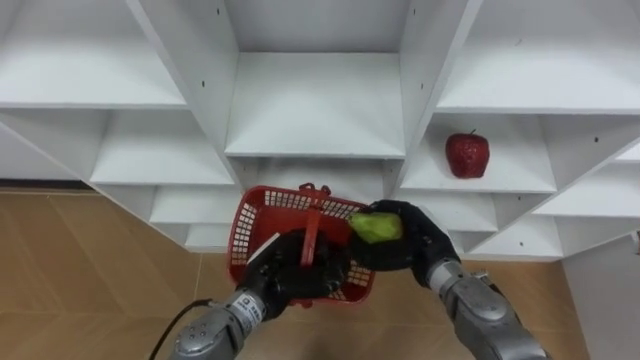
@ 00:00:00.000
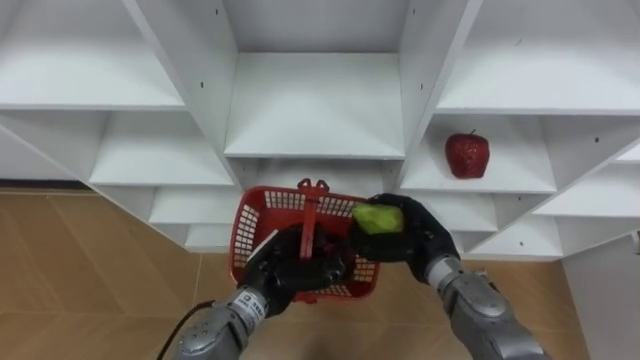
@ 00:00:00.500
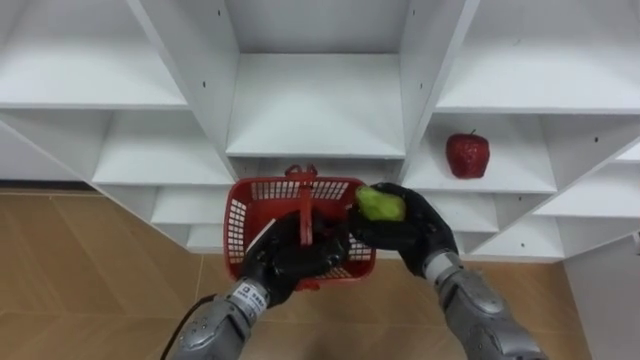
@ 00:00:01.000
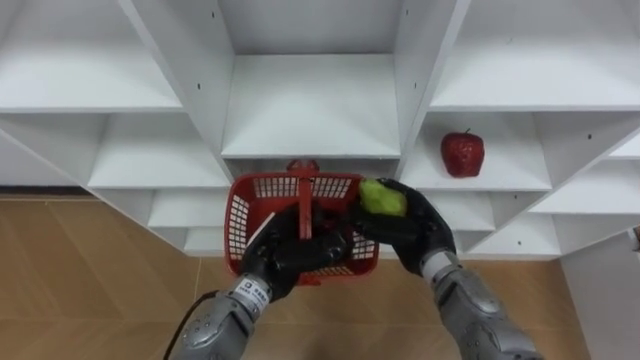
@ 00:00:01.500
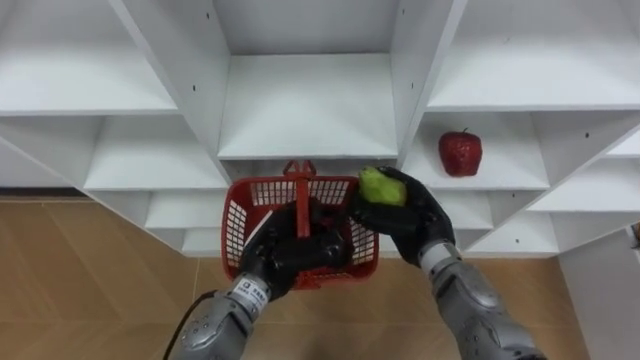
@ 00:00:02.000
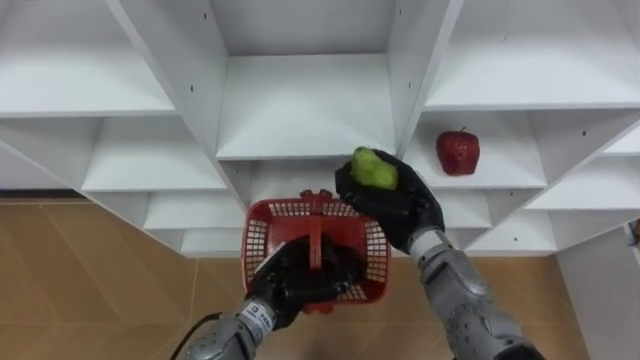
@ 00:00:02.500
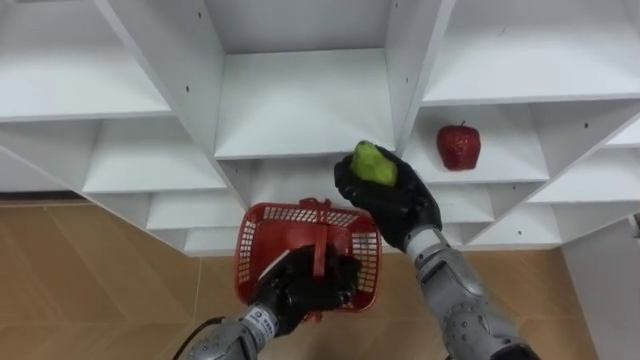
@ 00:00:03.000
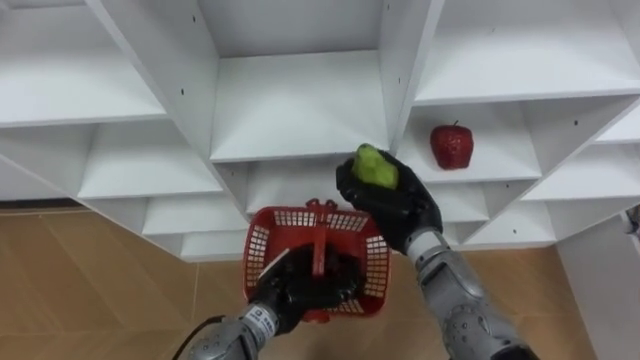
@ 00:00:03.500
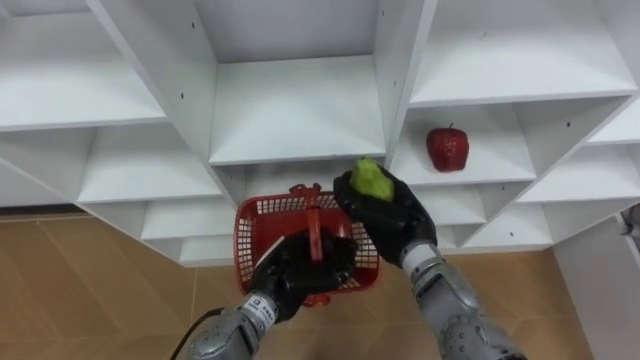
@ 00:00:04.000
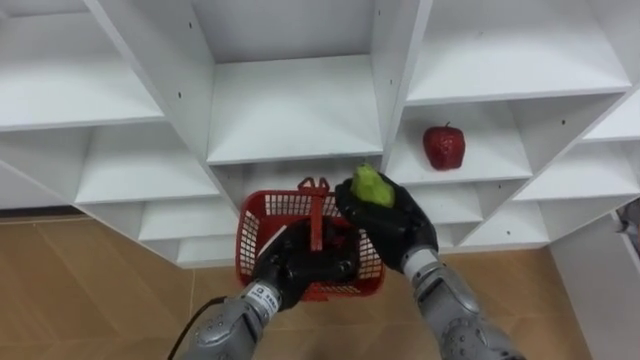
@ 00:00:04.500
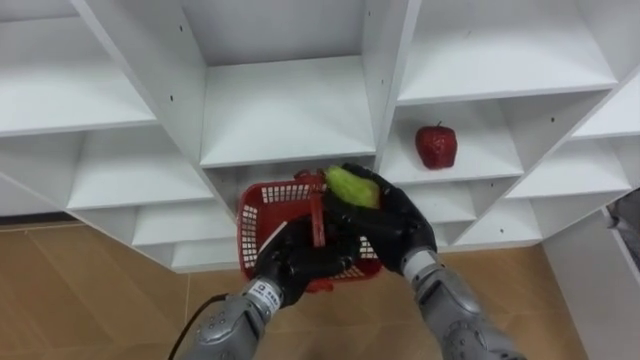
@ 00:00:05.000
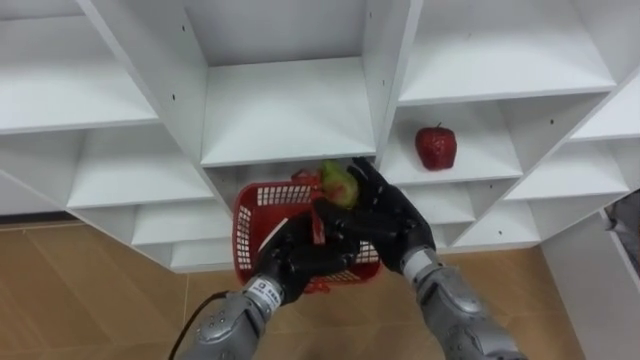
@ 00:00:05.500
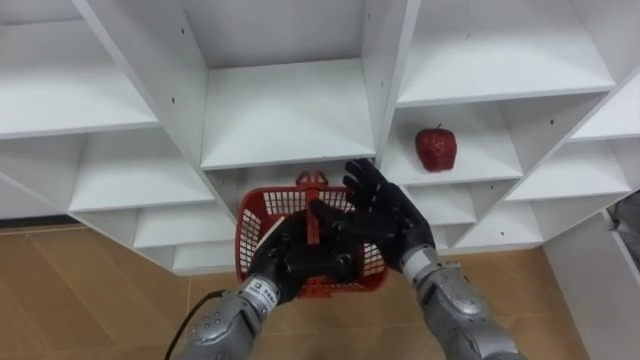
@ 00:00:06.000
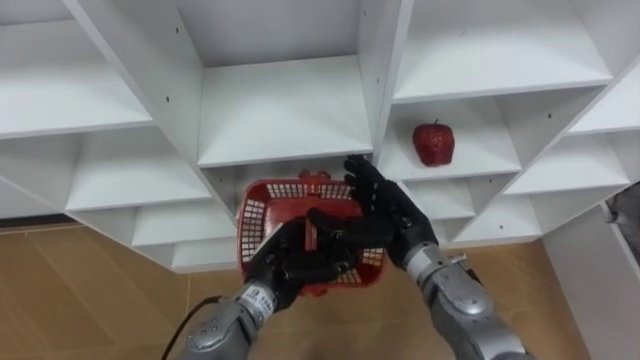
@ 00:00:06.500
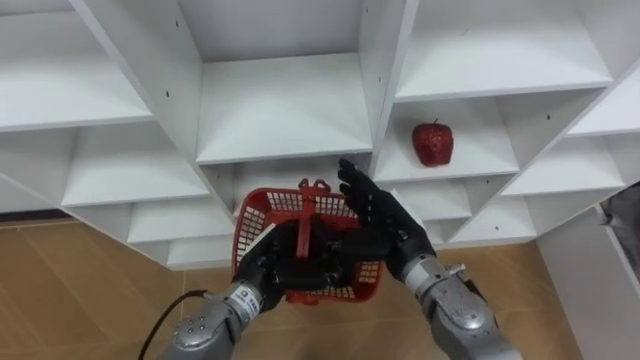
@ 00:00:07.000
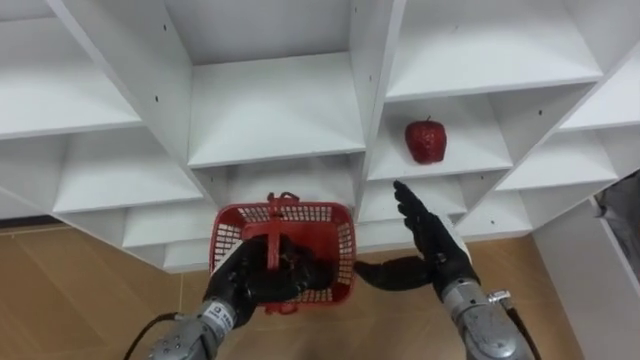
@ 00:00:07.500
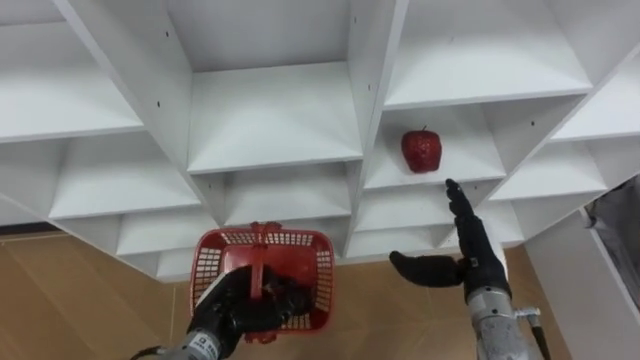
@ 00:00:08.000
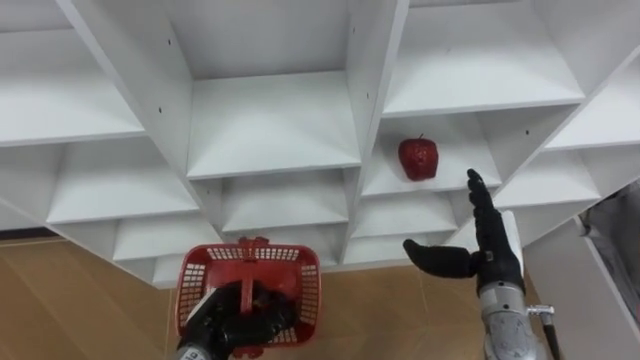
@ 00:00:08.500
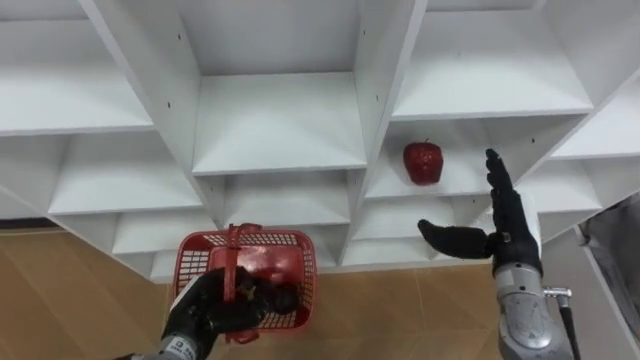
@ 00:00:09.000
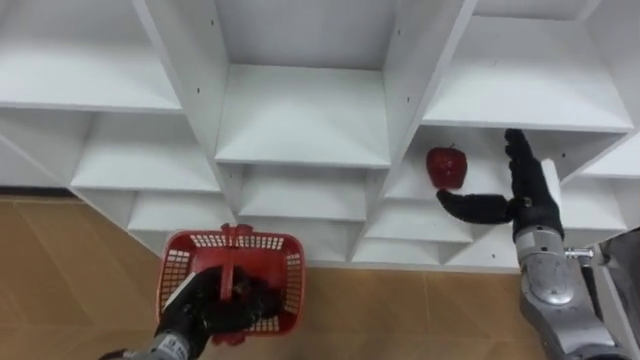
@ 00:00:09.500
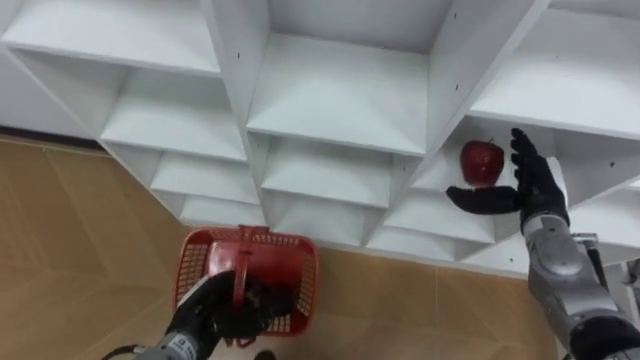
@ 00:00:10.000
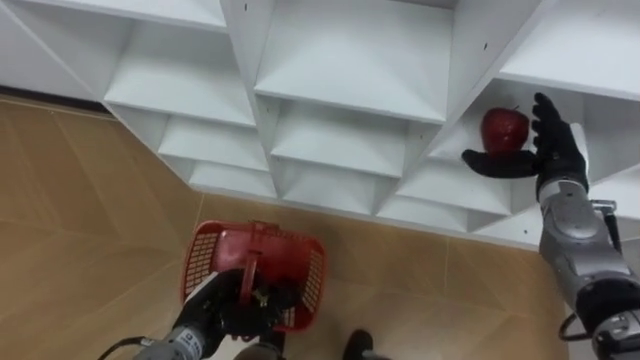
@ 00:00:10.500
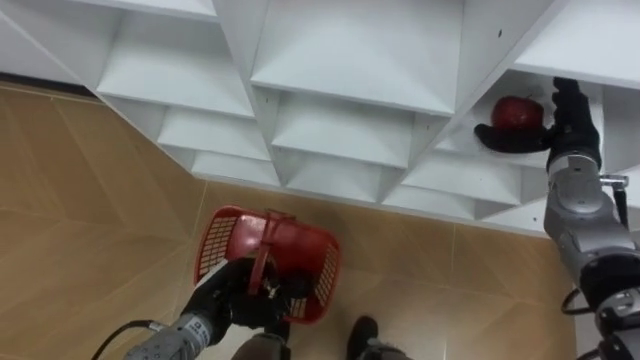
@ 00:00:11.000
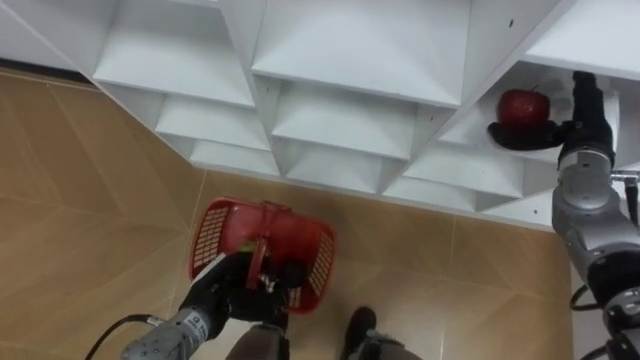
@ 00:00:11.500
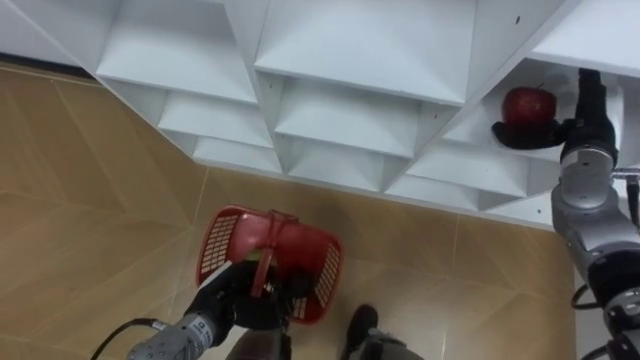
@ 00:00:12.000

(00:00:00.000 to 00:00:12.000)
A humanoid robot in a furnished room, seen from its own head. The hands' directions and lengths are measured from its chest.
Task of the whole recording: Hold the basket and collect the fruits from 3 different cells of the closet into it.
00:00:04.000 - 00:00:06.000: The right hand opens up.
00:00:06.000 - 00:00:08.000: The right hand shifts roughly 10 cm to the right. The left hand moves to the left, downward and backward, approximately 10 cm.
00:00:08.000 - 00:00:10.000: The right hand shifts roughly 10 cm to the right and forward.
00:00:10.000 - 00:00:12.000: The right hand goes roughly 10 cm upward.

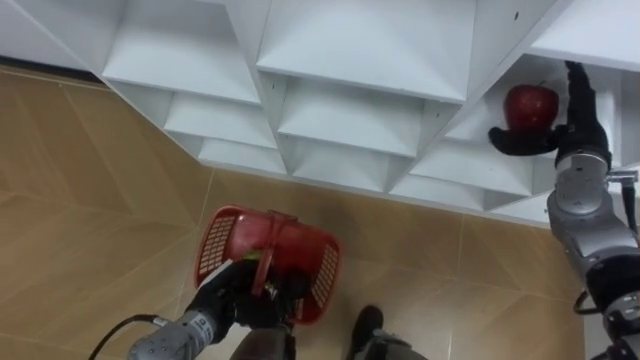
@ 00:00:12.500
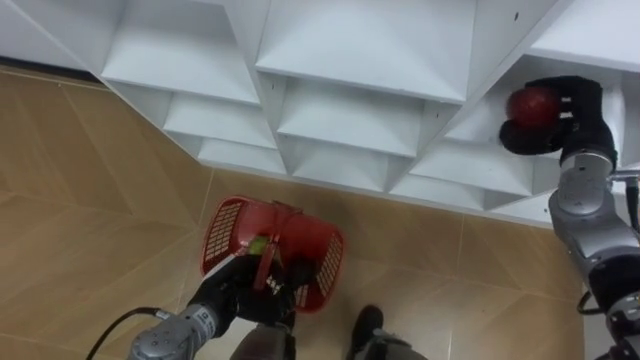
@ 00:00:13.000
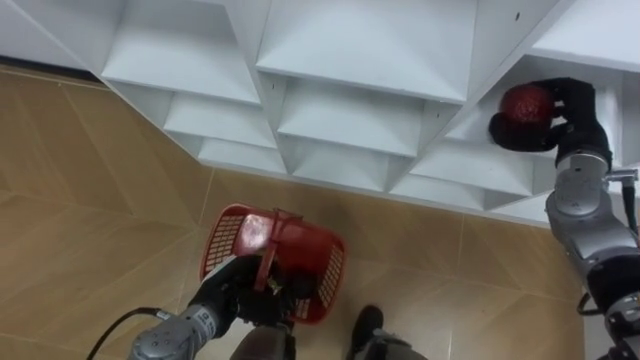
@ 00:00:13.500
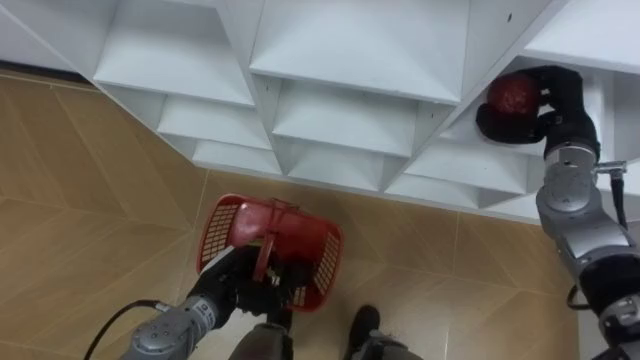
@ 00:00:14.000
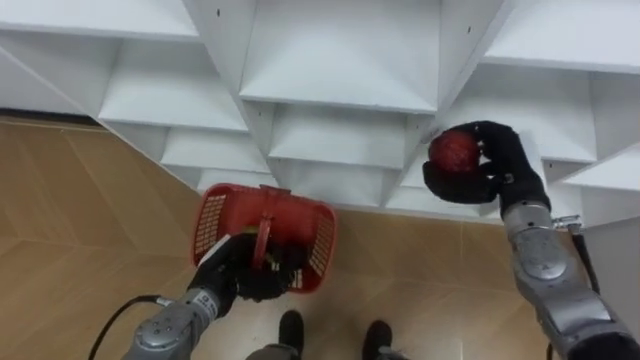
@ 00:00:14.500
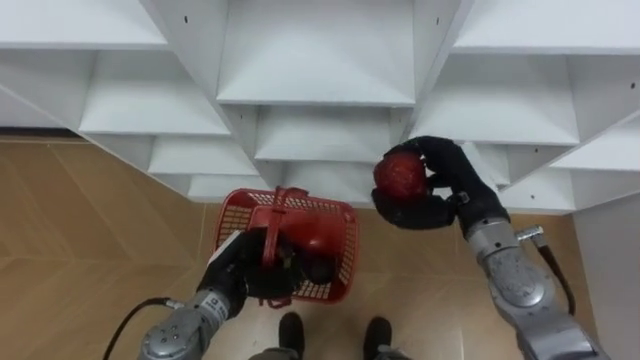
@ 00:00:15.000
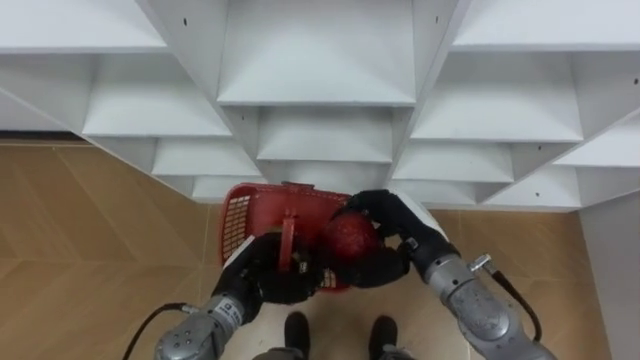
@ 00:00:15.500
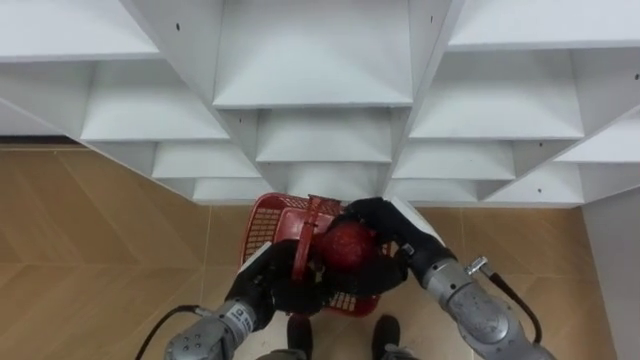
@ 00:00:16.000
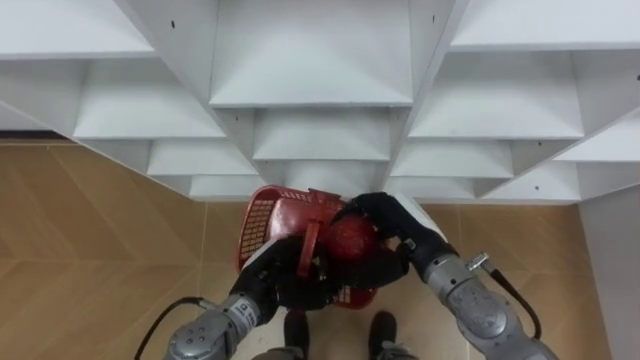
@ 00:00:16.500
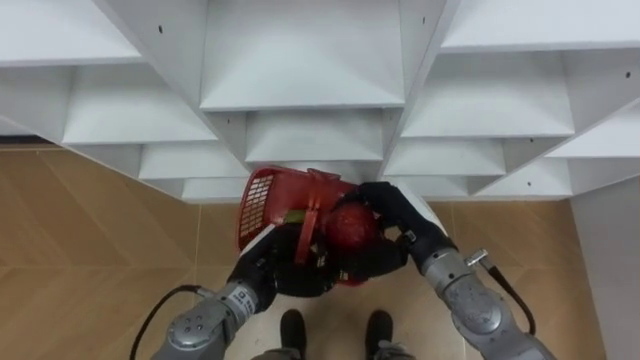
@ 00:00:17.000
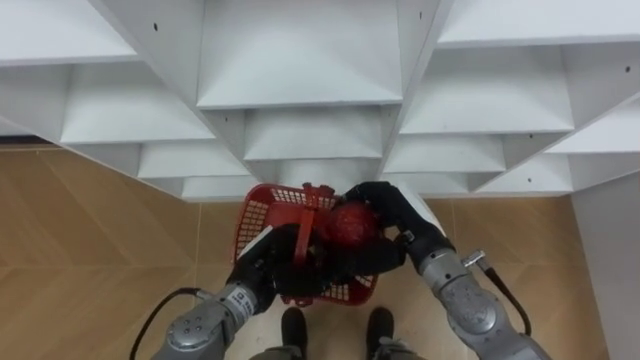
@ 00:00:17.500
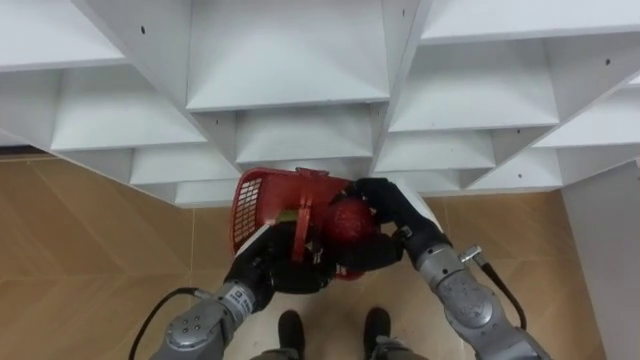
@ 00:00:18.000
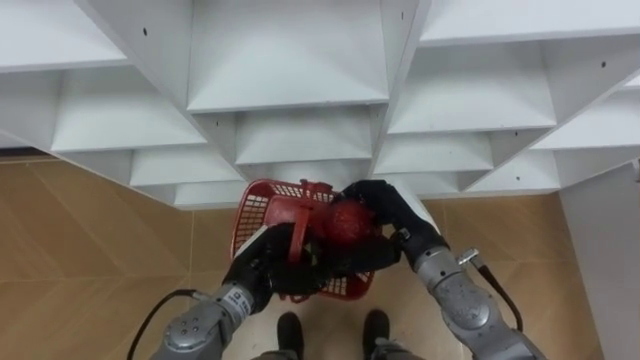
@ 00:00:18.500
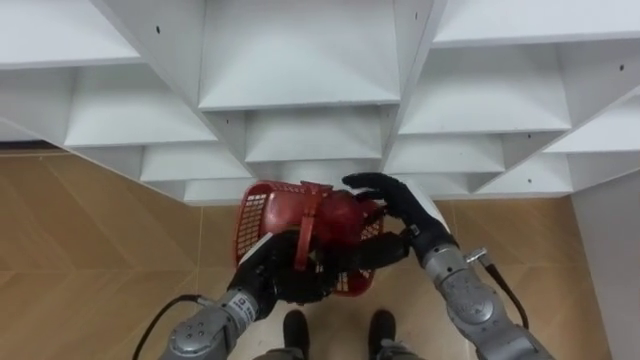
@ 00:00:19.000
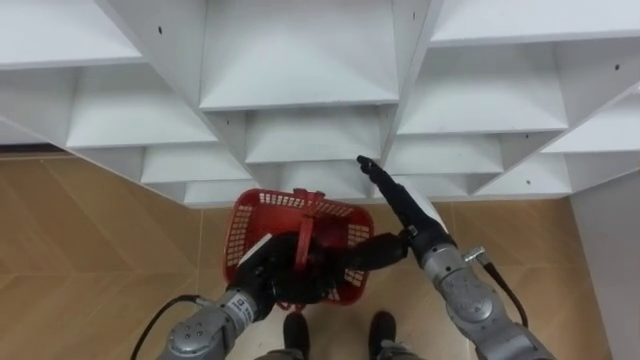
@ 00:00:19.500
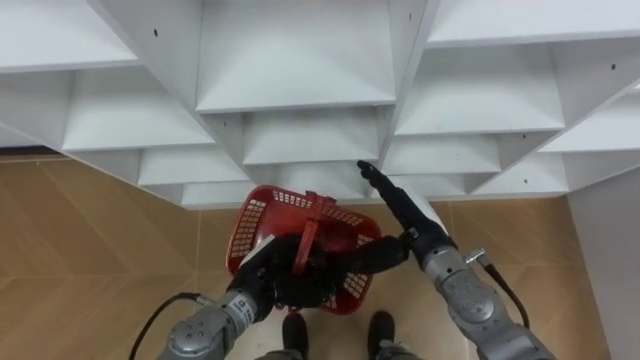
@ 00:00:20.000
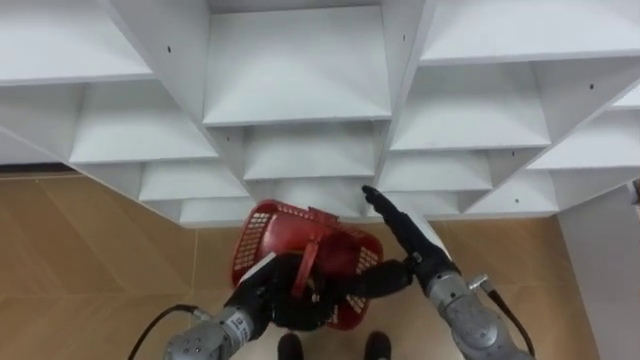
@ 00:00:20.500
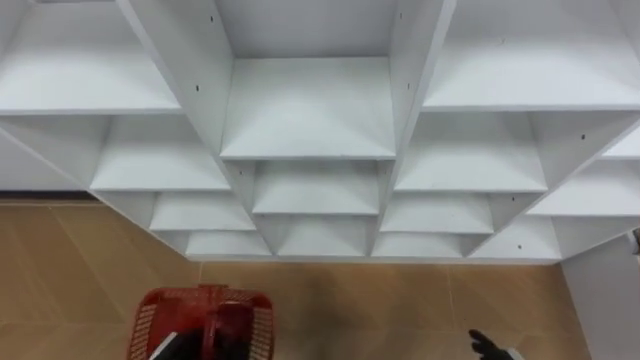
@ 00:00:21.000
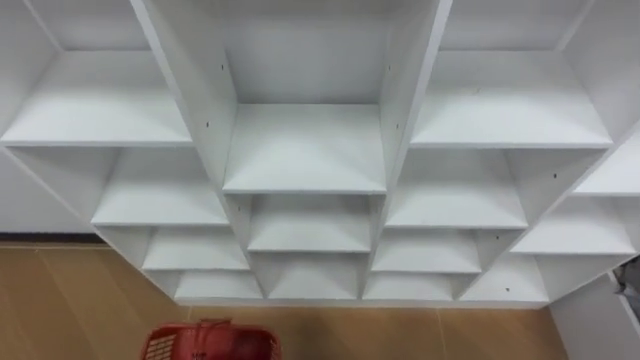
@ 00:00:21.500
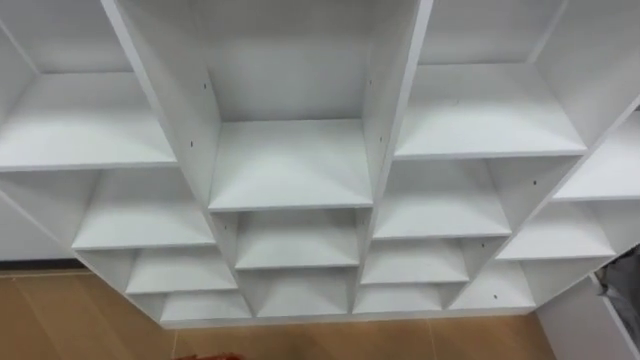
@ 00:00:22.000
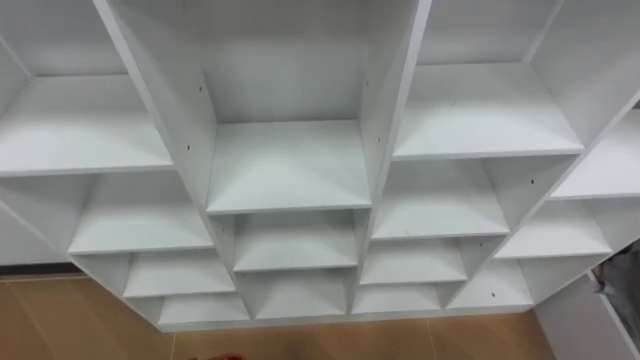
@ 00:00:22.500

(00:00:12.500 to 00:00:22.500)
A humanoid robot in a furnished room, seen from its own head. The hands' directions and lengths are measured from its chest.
Task of the whole recording: Hold the basket and collect the fruits from 3 different cells of the closet into it.
00:00:12.500 - 00:00:14.500: The right hand heads to the left, covering approximately 5 cm, and closes its fingers.
00:00:14.500 - 00:00:16.500: The left hand travels to the right by roughly 5 cm, while the right hand is displaced to the left and backward by about 15 cm.
00:00:18.500 - 00:00:20.500: The right hand shifts by roughly 5 cm, and opens.
